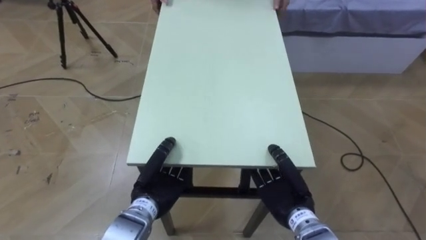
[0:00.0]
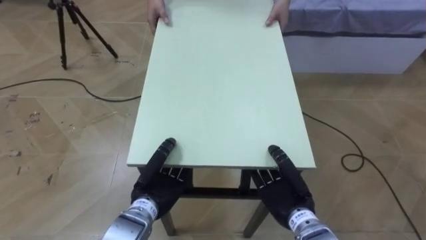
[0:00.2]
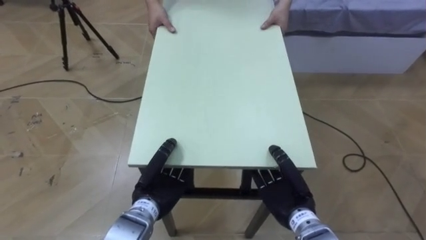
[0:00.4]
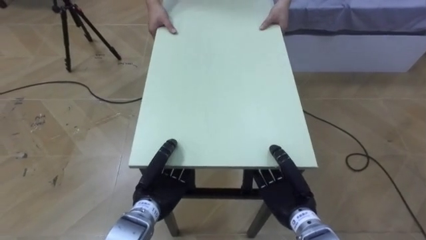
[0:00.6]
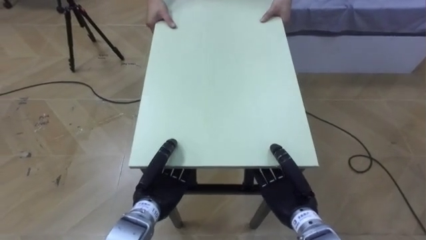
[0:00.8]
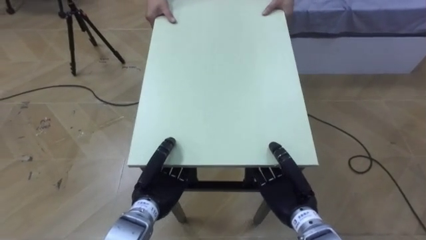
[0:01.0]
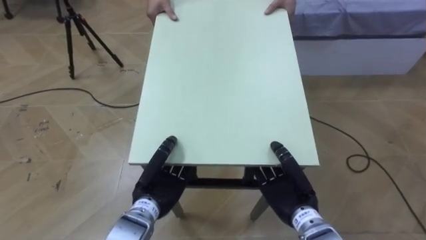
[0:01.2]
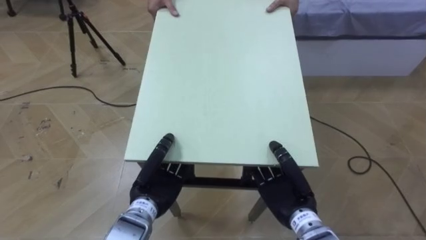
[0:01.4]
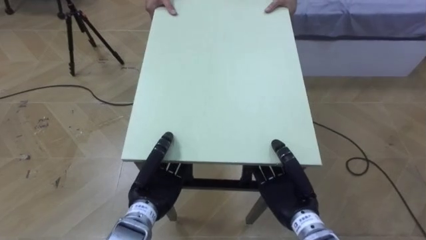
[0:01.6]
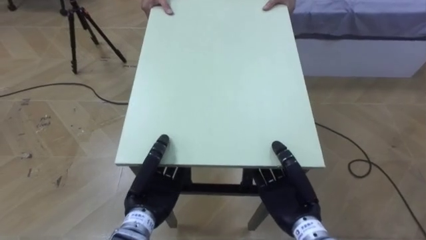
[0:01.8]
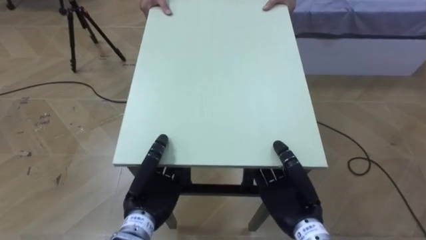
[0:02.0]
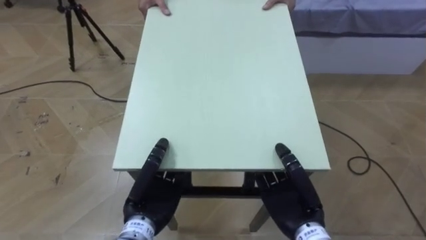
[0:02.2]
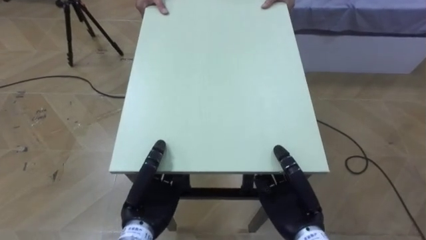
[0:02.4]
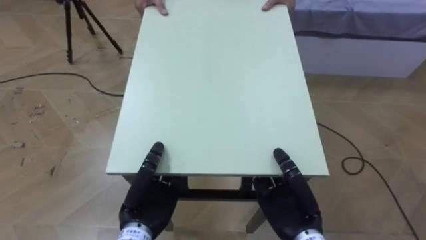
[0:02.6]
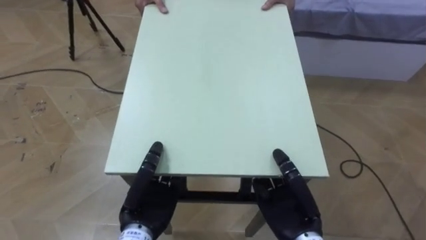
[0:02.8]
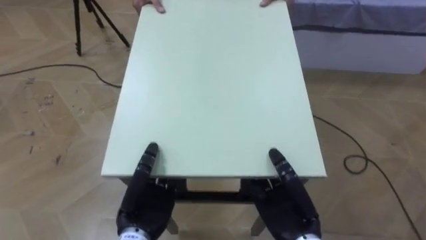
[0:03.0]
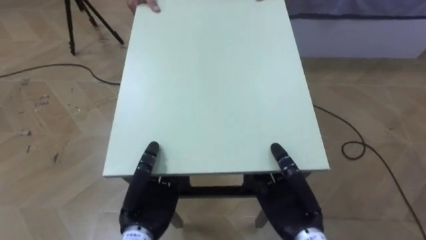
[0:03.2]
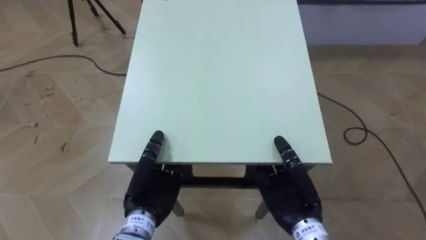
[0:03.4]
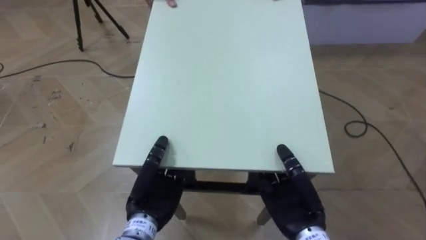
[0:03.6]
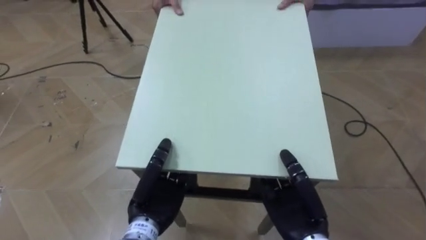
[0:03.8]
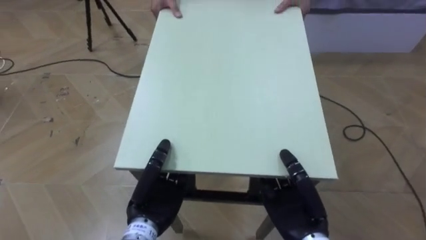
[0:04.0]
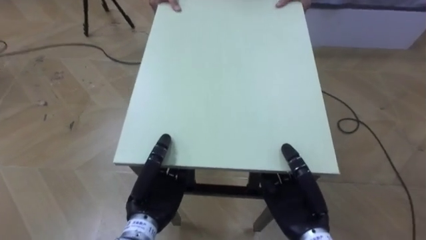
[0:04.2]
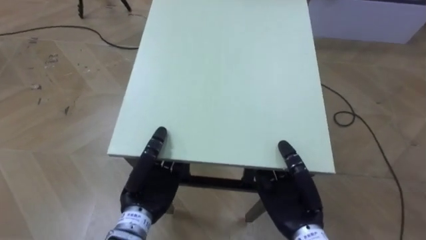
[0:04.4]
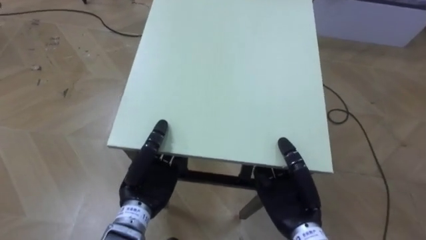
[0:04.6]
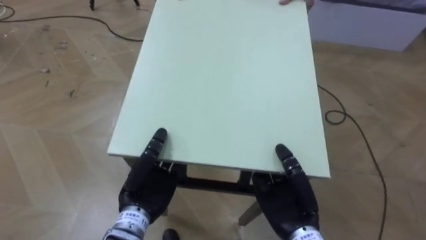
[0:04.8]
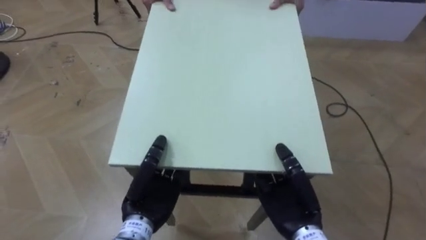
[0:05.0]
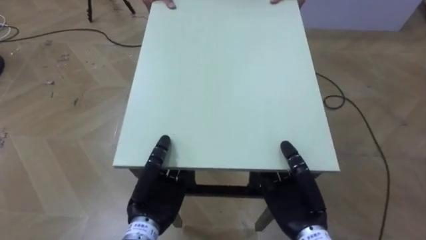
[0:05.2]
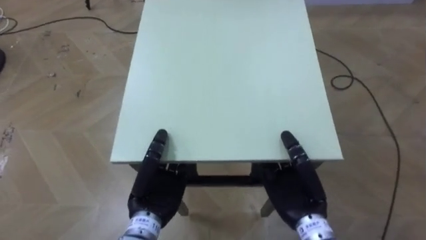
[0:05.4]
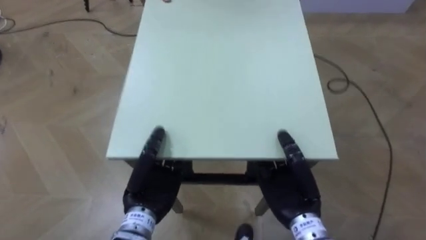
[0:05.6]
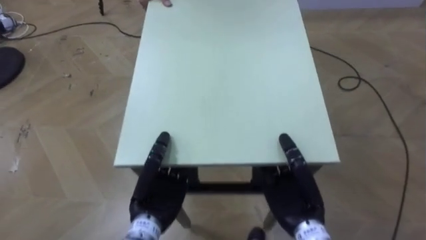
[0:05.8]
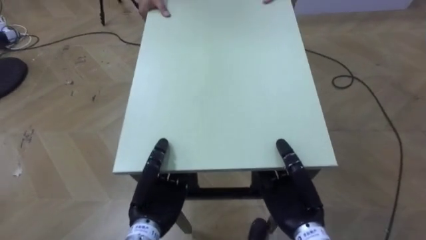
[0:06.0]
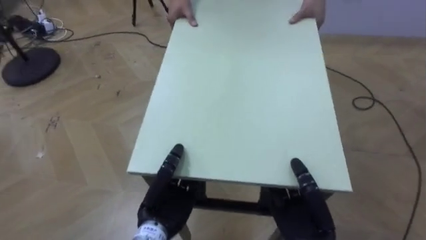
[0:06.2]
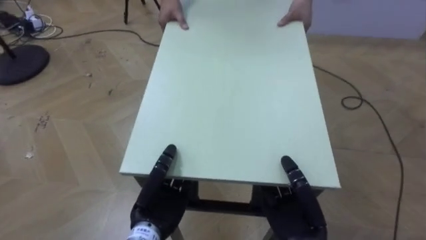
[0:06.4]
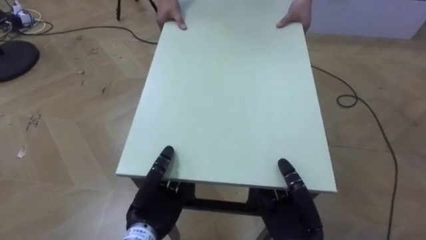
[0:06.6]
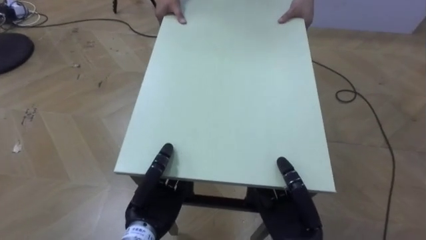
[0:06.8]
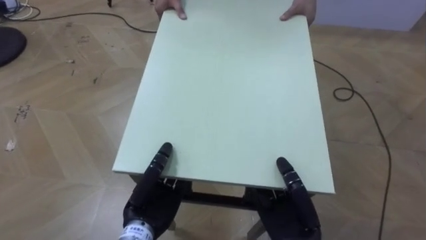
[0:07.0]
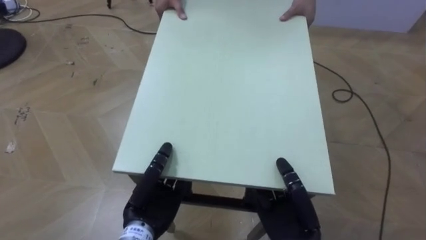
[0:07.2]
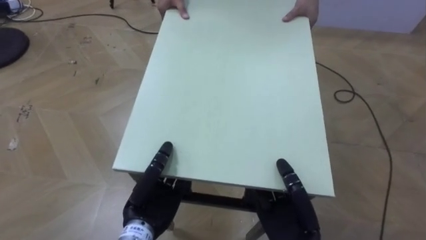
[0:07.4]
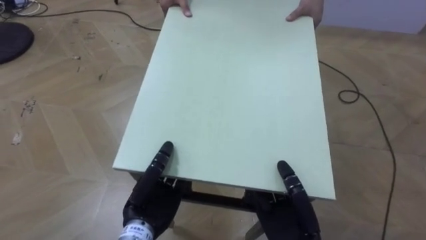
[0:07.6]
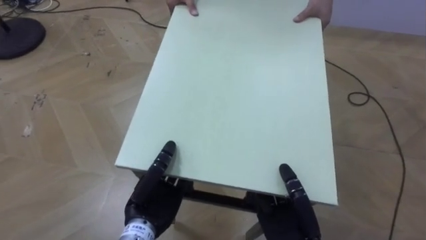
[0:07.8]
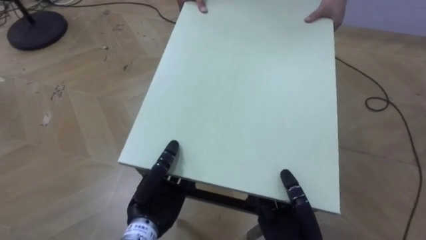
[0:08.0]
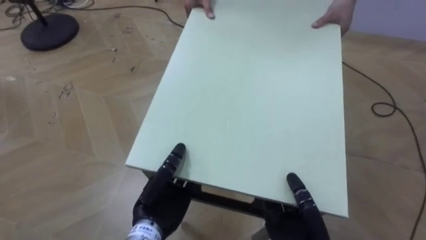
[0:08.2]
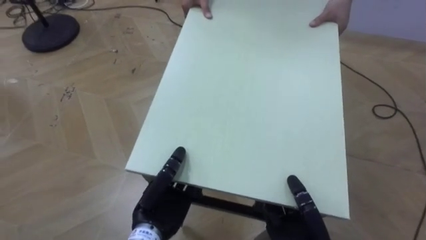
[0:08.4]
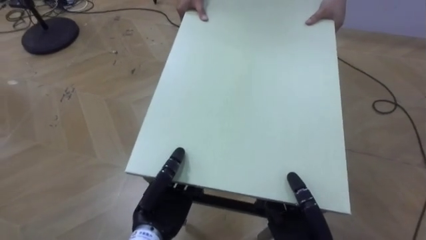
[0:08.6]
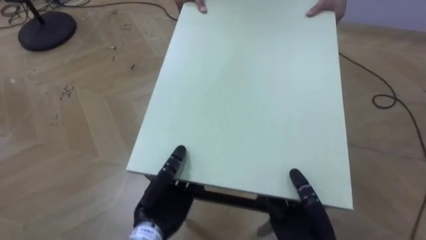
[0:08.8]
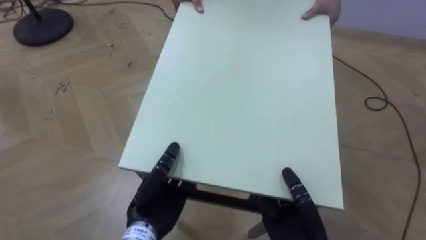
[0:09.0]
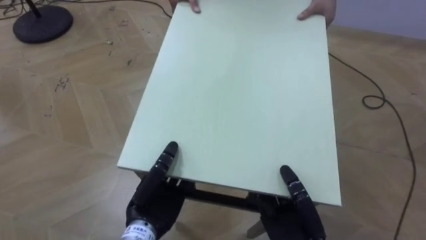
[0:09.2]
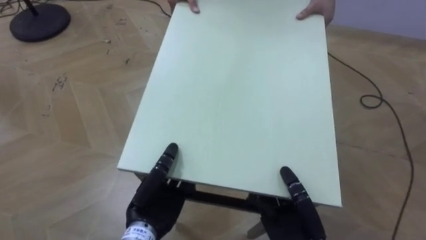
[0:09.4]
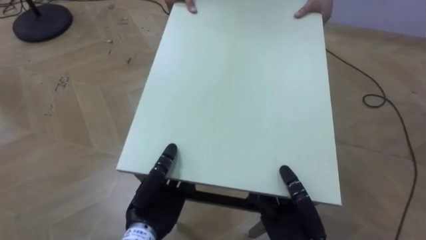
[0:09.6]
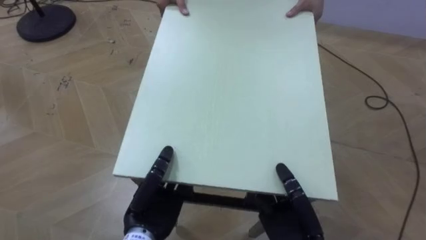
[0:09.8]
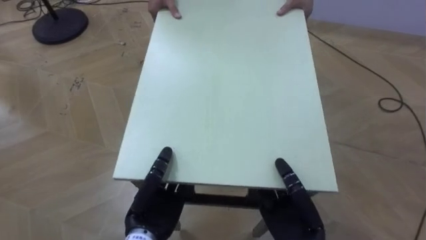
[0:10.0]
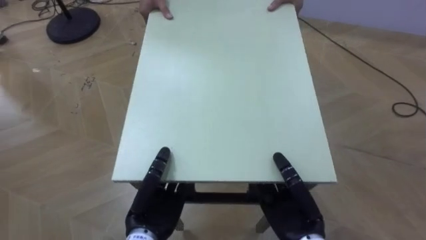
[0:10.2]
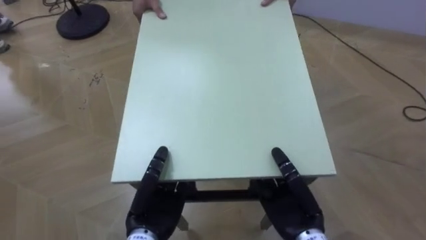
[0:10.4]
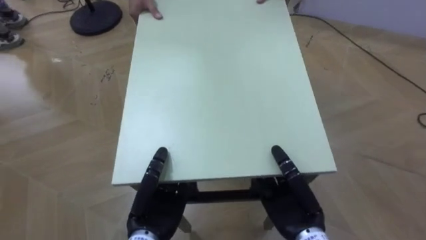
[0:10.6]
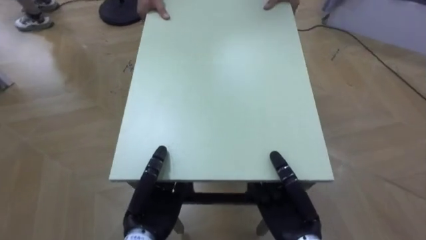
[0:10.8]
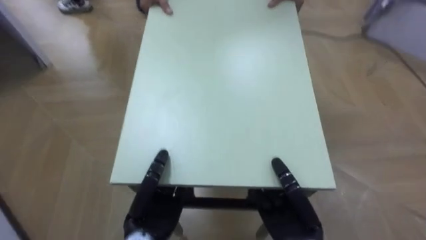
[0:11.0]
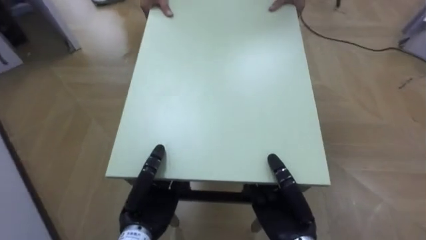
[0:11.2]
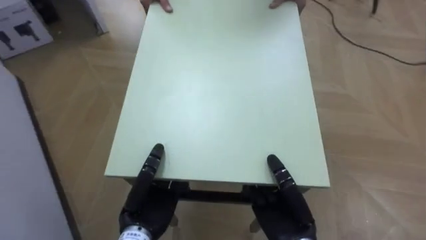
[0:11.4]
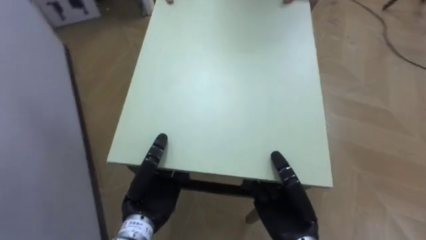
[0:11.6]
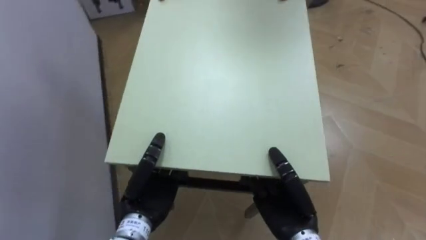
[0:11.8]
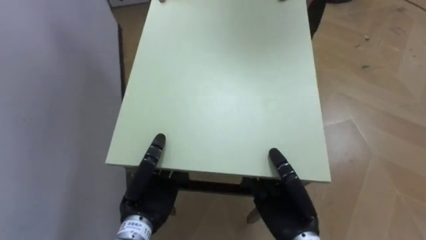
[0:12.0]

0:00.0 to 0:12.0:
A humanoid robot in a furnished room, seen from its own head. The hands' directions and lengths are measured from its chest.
Task of the whole recording: Move the table to the back left with someone.
0:10.4 to 0:12.0: The robot's body swings some 60 degrees to its left.

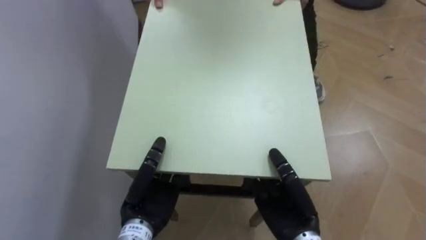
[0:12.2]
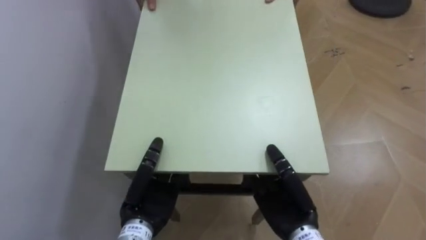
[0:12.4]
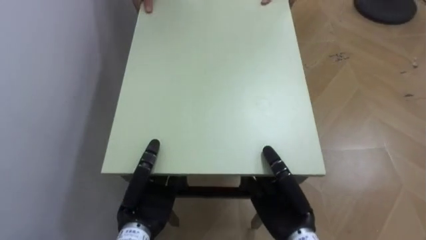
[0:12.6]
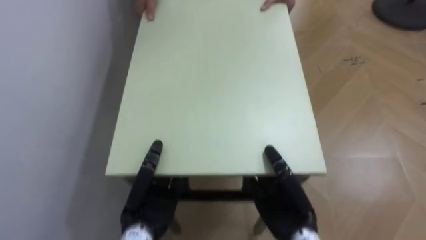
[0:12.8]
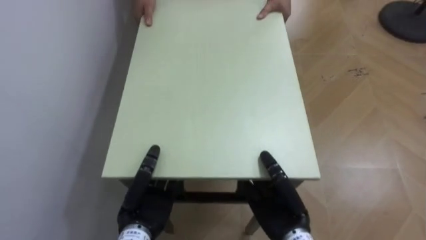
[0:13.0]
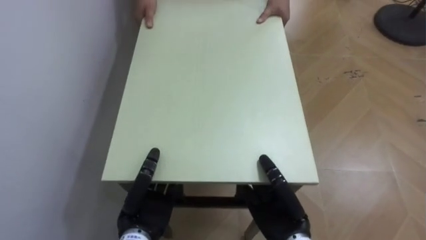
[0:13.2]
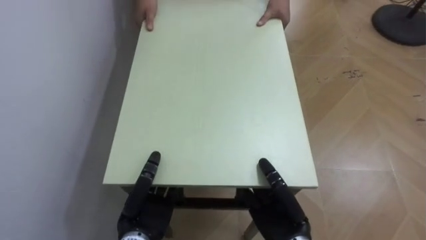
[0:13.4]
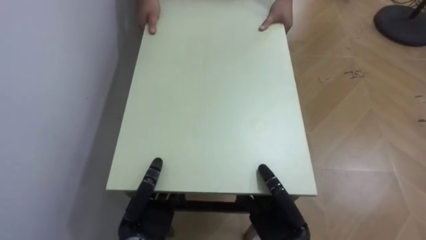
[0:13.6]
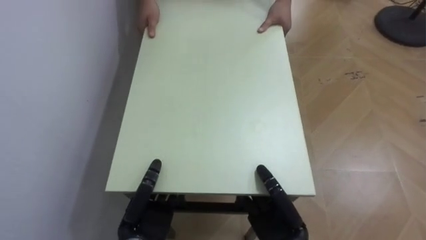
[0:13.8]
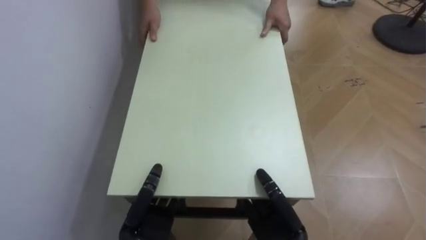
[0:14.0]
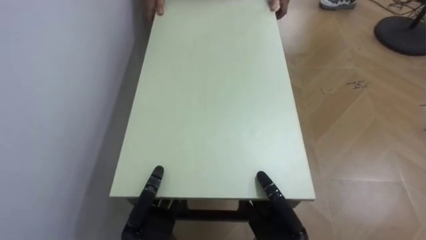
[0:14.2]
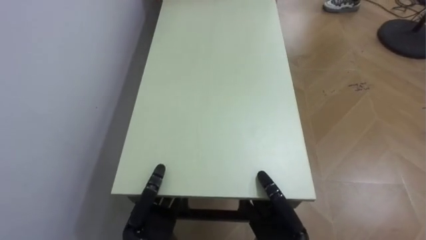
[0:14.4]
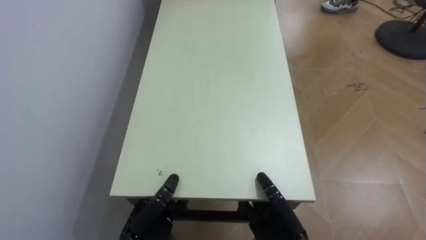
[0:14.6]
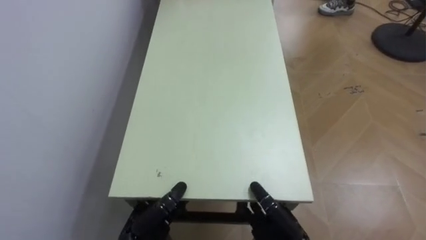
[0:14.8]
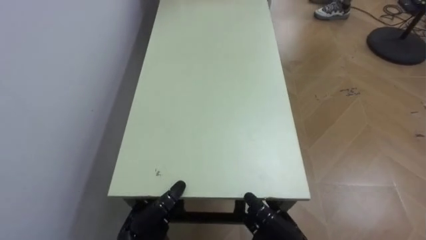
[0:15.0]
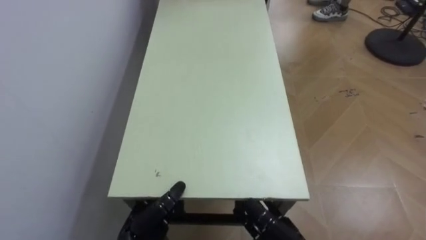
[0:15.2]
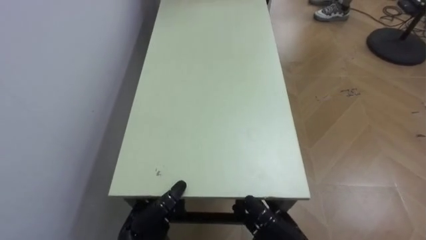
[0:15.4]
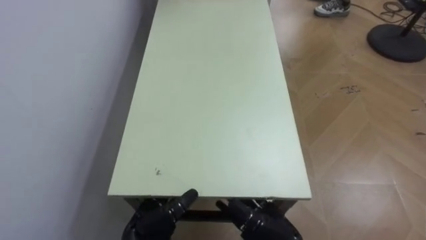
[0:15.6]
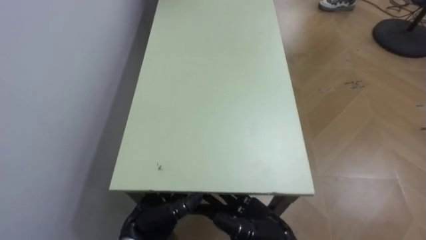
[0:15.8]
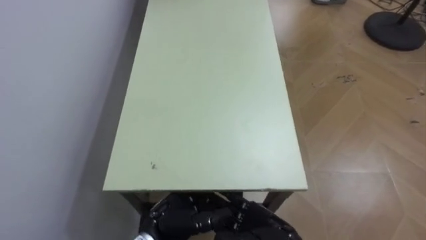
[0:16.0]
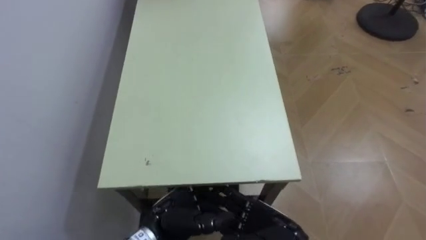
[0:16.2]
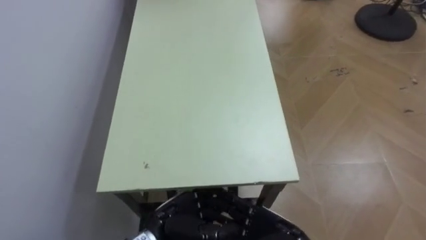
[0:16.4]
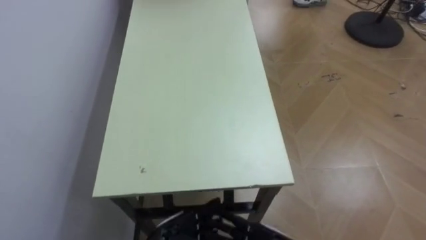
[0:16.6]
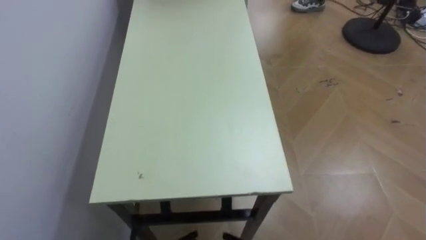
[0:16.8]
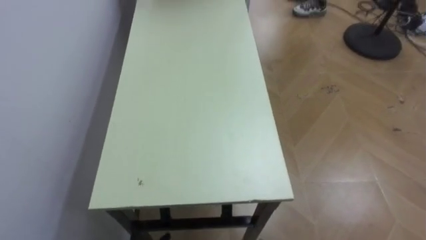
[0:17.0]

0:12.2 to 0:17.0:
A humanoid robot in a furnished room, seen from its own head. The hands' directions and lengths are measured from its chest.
Task of the whole recording: Move the table to the back left with someone.
0:12.2 to 0:13.8: The left hand changes place by about 5 cm.
0:13.8 to 0:15.4: The right hand opens. Meanwhile the left hand opens up.
